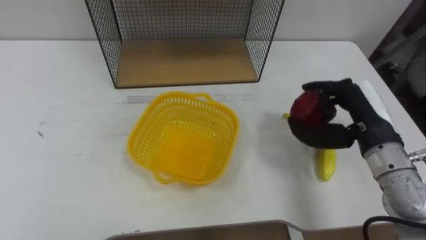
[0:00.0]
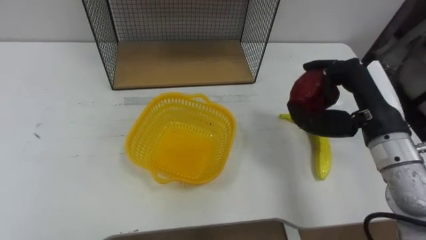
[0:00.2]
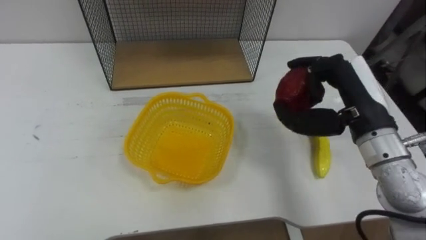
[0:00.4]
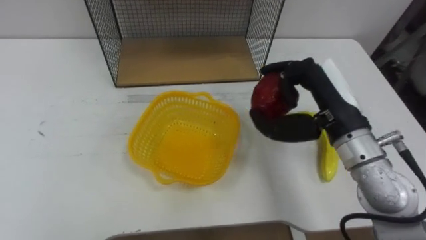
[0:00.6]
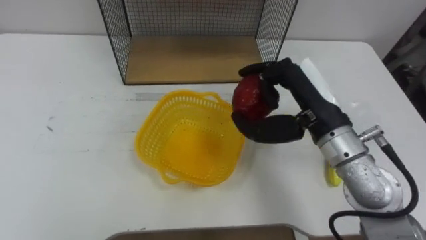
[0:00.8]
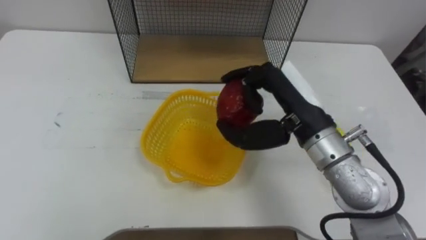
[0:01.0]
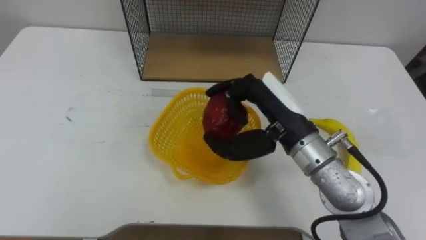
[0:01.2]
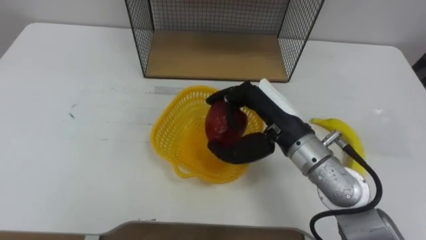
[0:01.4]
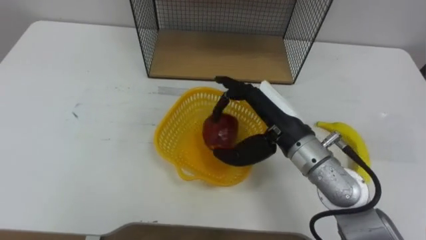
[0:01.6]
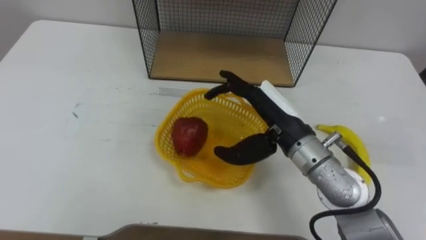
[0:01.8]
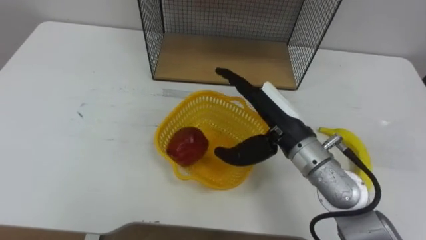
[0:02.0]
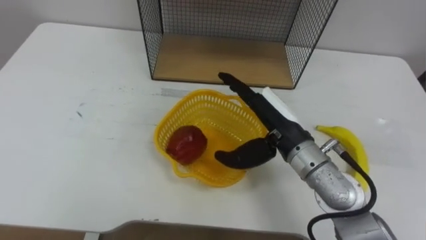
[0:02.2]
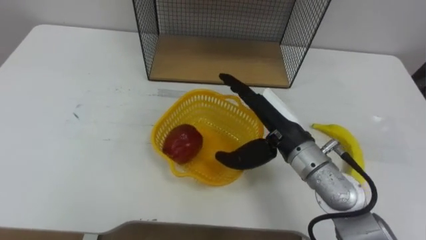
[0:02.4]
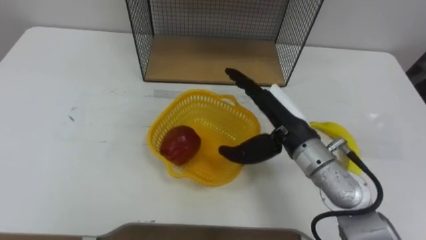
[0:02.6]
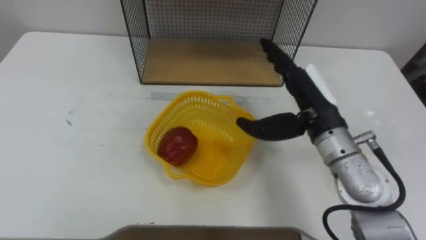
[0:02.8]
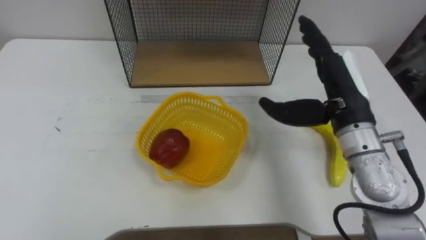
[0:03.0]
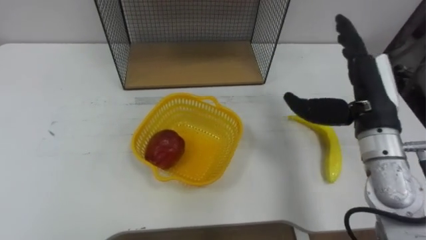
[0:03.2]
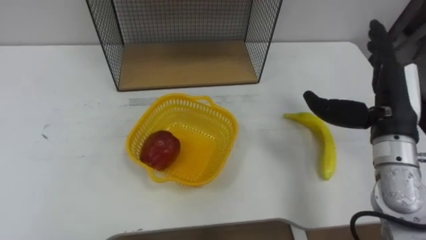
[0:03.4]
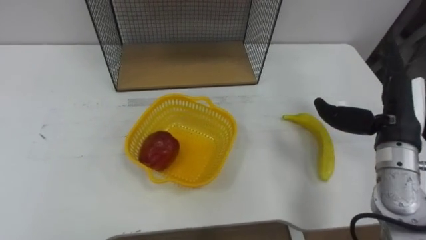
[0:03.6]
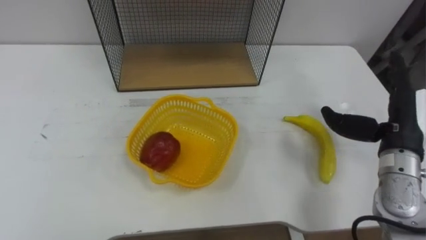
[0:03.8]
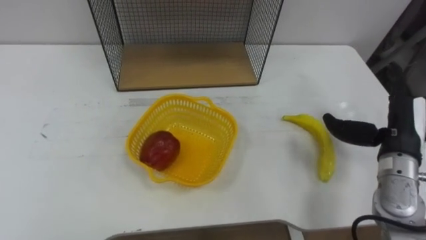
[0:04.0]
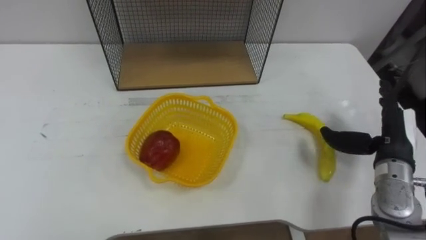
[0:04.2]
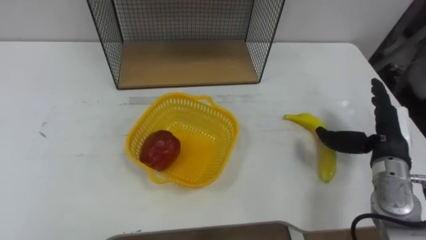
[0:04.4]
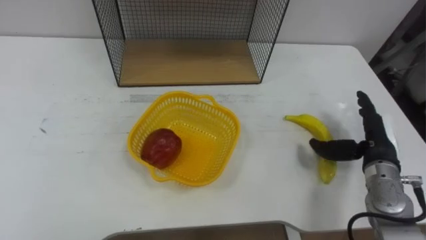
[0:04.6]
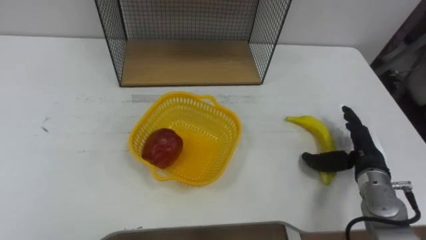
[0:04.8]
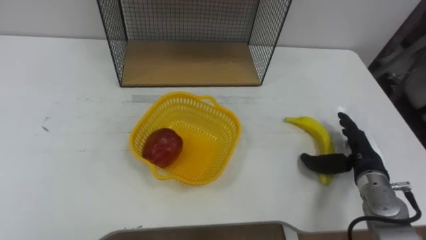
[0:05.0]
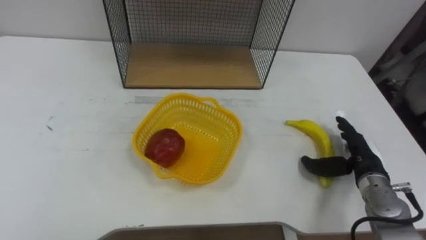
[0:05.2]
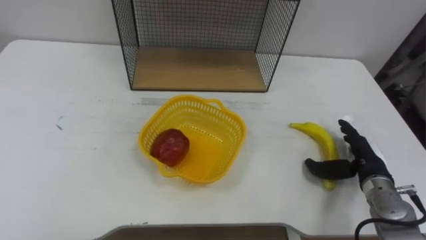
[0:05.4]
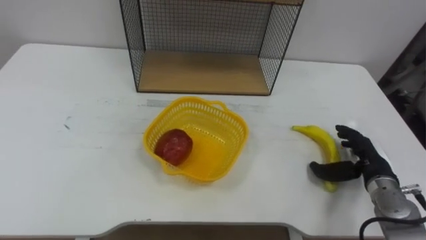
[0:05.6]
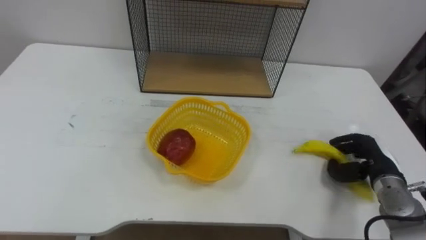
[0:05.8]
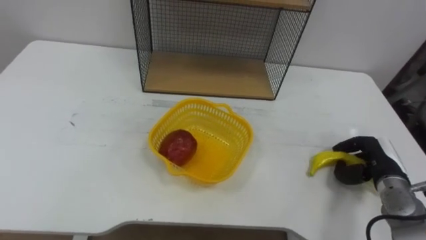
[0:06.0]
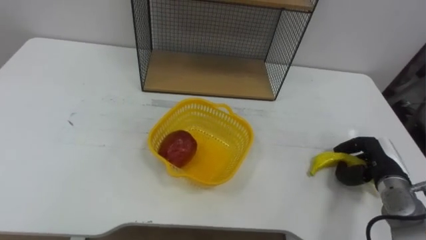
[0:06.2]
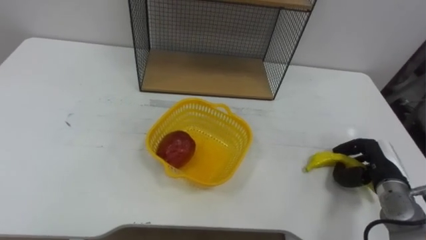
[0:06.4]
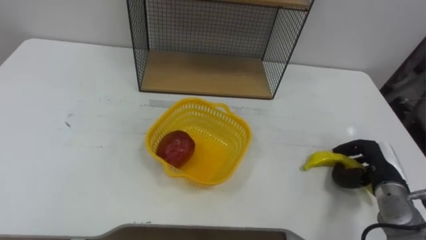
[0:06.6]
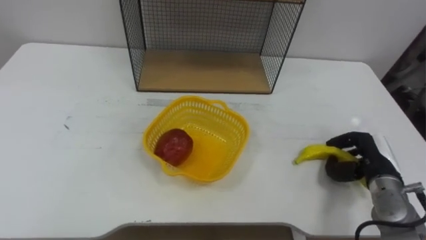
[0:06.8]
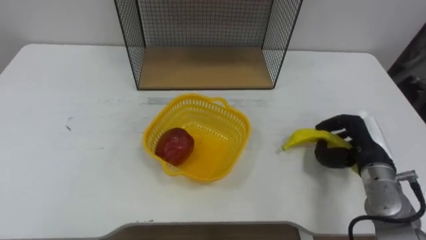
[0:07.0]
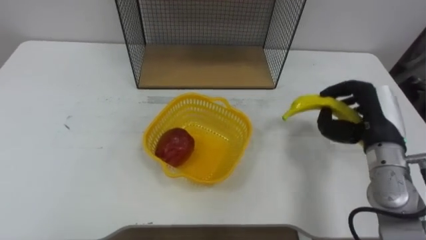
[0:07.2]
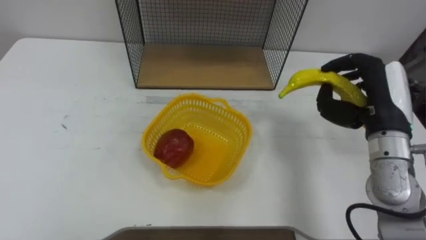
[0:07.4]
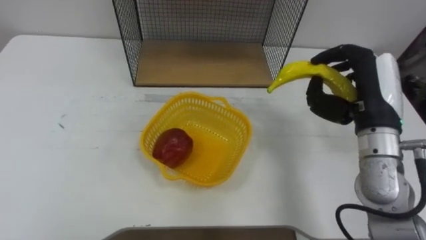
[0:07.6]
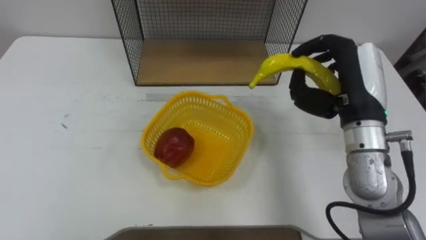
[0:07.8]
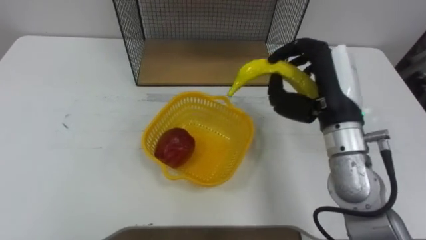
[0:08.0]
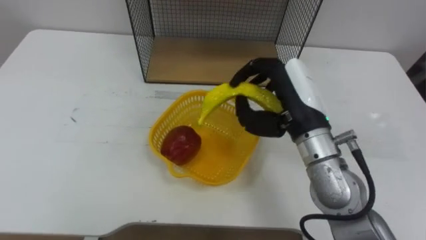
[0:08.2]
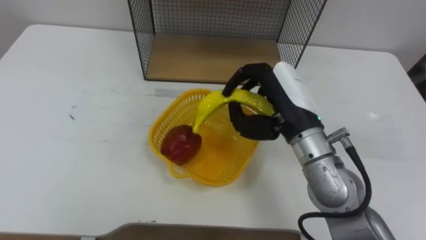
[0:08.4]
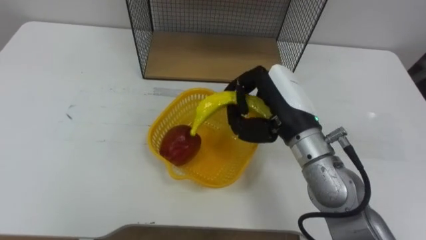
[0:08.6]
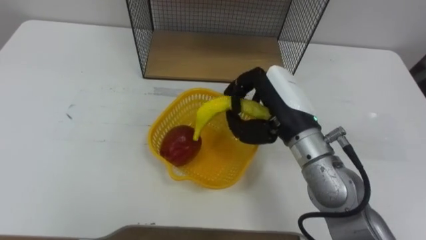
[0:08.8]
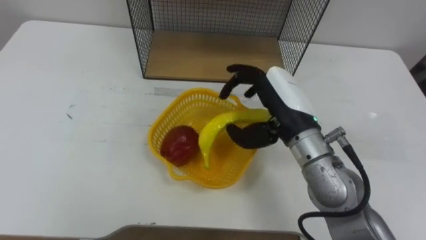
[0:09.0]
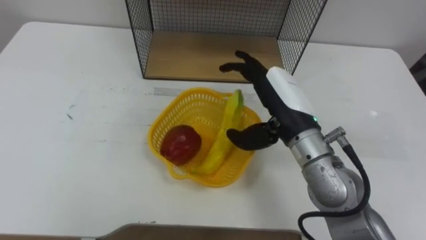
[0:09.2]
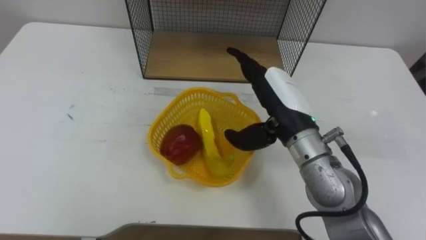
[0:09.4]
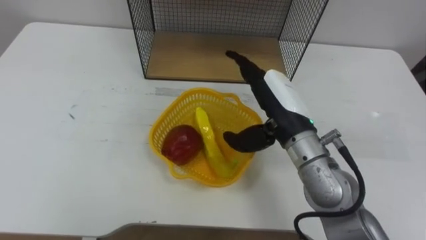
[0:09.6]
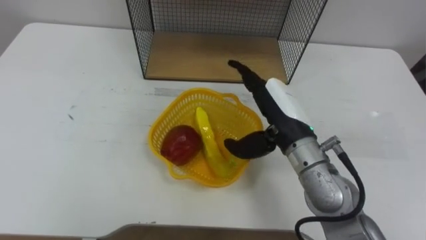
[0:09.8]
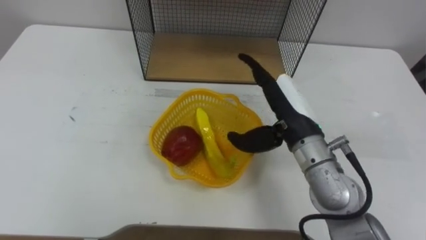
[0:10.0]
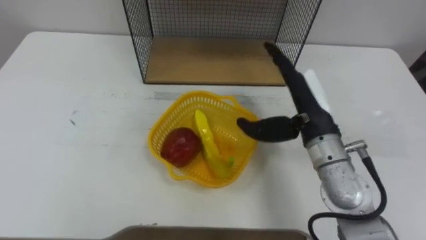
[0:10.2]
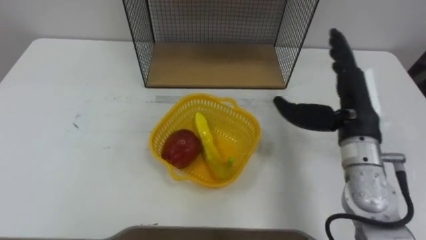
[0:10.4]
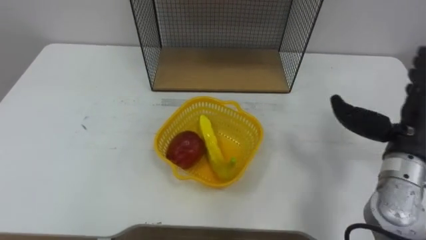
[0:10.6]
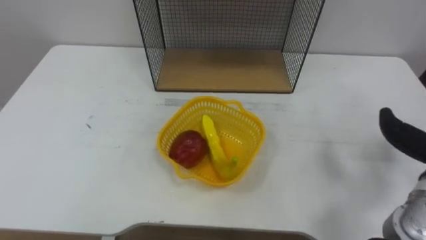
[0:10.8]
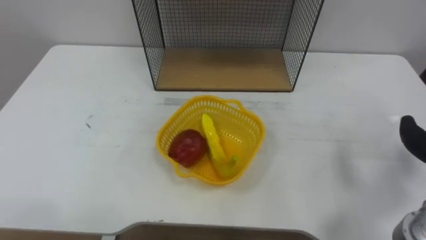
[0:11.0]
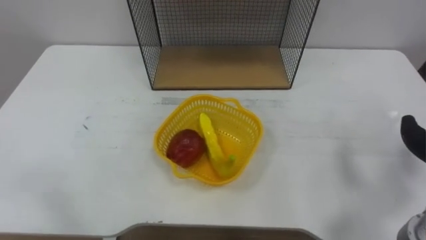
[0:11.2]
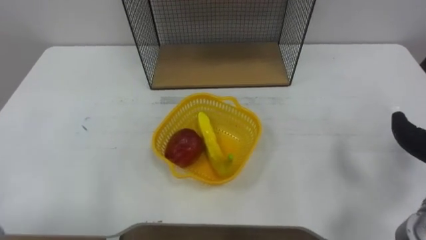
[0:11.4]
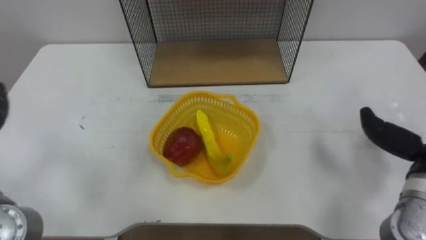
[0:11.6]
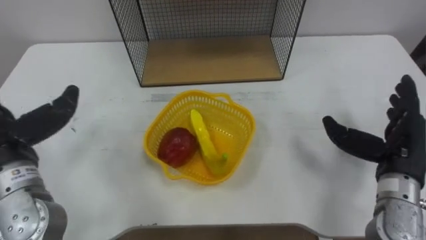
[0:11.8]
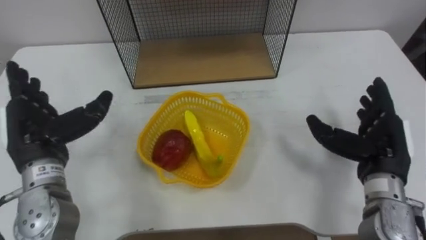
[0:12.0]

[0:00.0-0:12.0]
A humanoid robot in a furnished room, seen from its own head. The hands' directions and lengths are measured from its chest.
Task of the whole recording: Put the fruit on the table into the basket, then place the basket on the shelf.
0:00.0 to 0:01.6: The right hand heads to the left, covering roughly 15 cm, and opens up.
0:01.6 to 0:03.0: The right hand is displaced to the right by about 10 cm.
0:03.0 to 0:04.4: The right hand is displaced to the right and downward by about 15 cm.
0:04.4 to 0:06.0: The right hand travels downward by roughly 10 cm, and closes its fingers.
0:06.0 to 0:07.6: The right hand shifts some 20 cm upward and to the left.
0:07.6 to 0:09.0: The right hand travels to the left by some 15 cm.
0:09.0 to 0:10.4: The right hand travels to the right by approximately 10 cm.

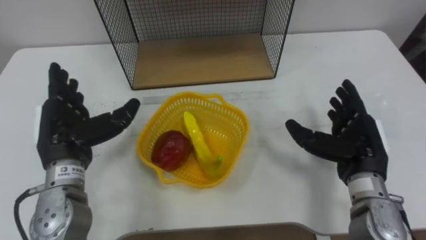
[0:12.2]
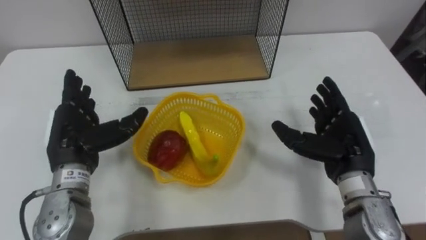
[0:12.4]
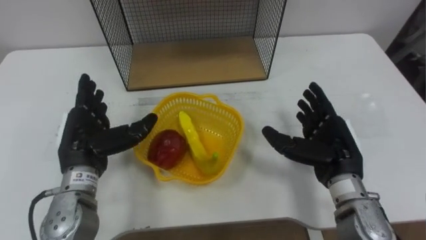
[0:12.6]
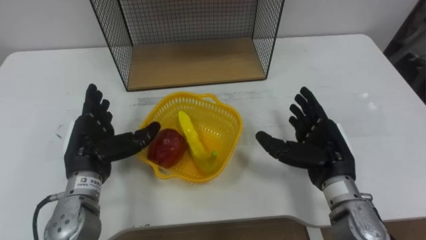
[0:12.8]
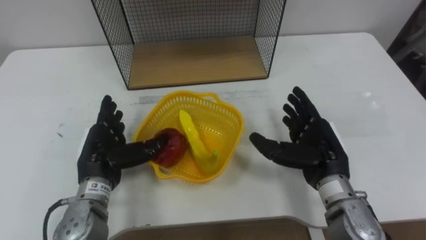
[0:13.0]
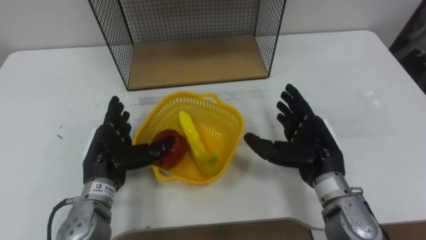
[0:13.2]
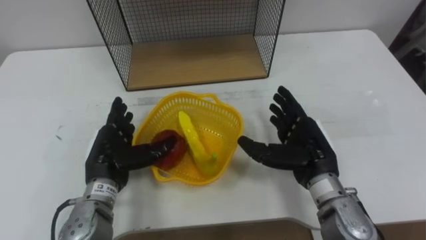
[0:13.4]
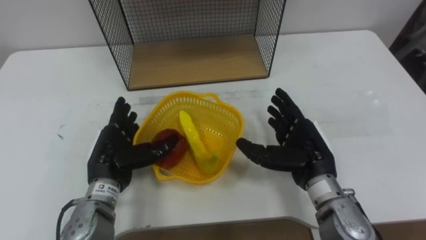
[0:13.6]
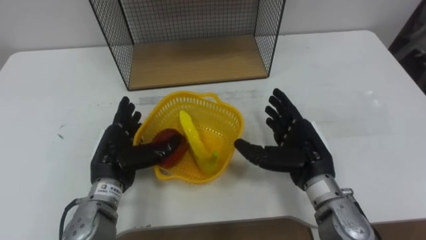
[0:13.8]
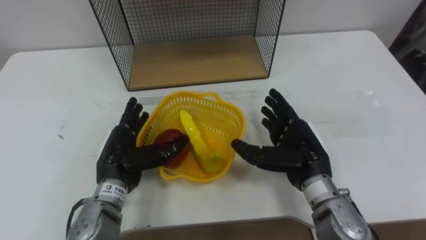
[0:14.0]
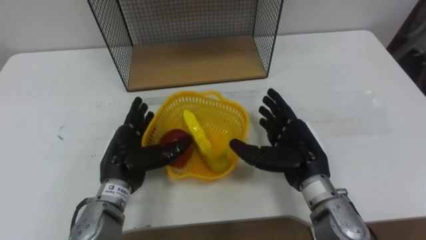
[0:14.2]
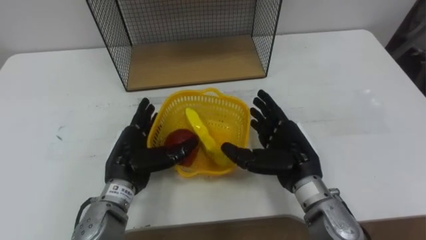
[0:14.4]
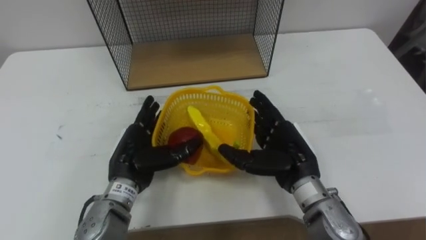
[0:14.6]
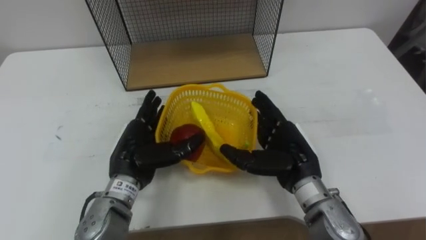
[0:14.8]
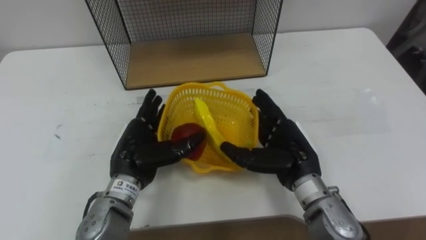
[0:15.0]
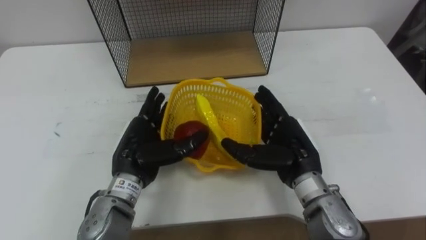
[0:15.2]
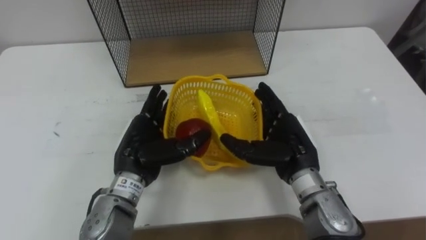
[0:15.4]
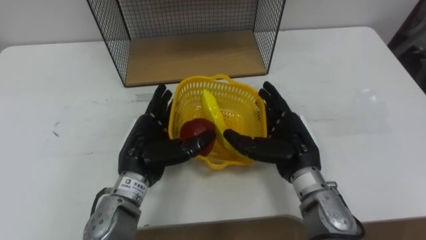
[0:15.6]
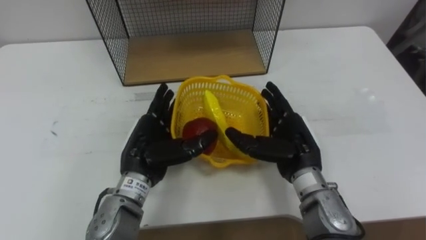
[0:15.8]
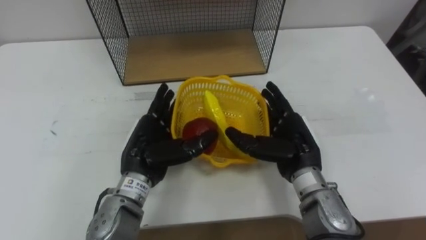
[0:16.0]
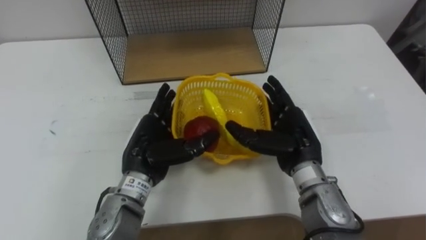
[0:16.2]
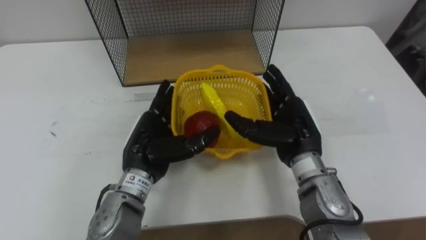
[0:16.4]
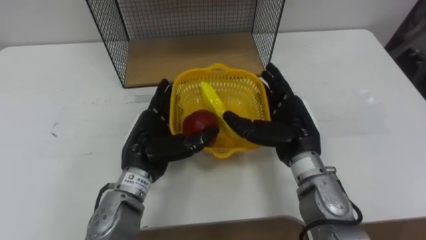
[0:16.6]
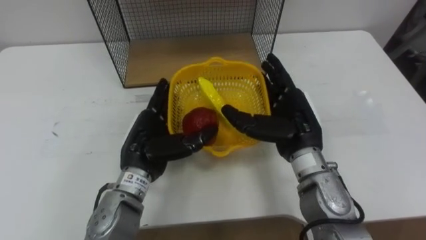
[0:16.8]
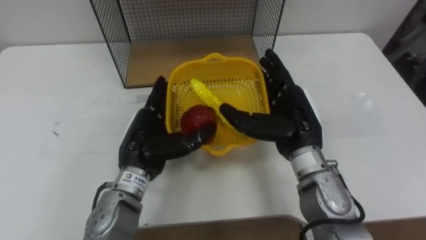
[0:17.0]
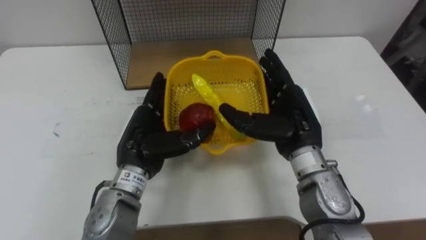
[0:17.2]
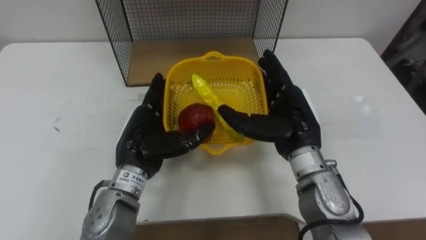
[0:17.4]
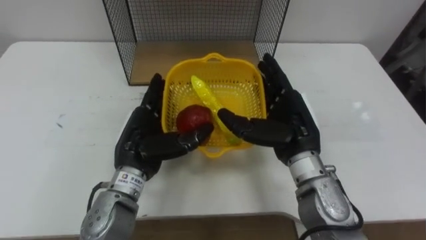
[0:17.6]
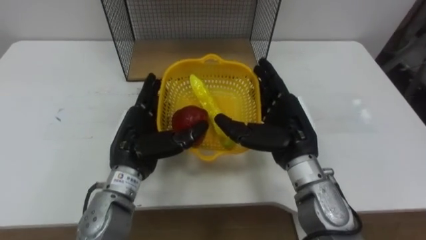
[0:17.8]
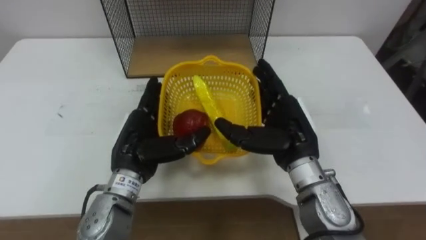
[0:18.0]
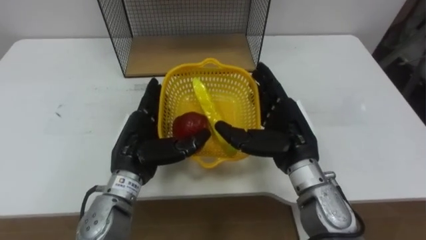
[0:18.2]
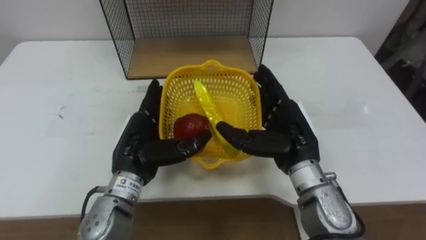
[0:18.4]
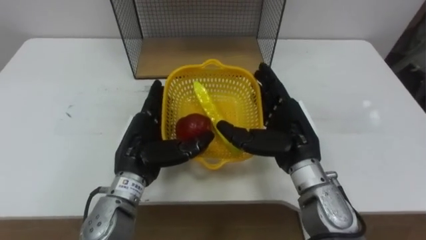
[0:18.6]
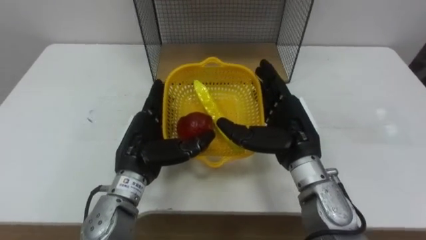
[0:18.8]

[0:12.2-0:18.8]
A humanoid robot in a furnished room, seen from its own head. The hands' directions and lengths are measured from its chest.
Task of the whole recording: Put the fruit on the table into the basket, then place the basket on the shelf.
0:12.2 to 0:13.8: The left hand travels downward and to the right by roughly 10 cm. The right hand travels to the left by some 10 cm.
0:13.8 to 0:15.4: The left hand goes approximately 5 cm to the right.
0:15.4 to 0:17.2: The right hand ends up approximately 5 cm from where it was.
